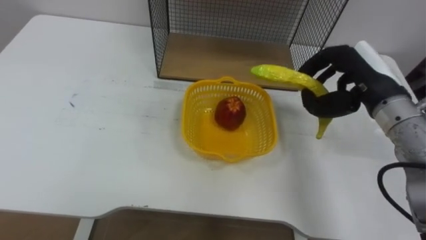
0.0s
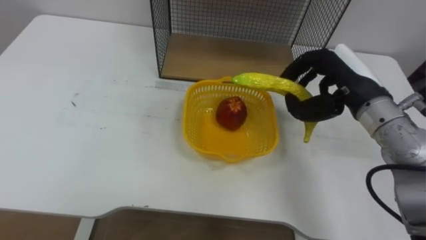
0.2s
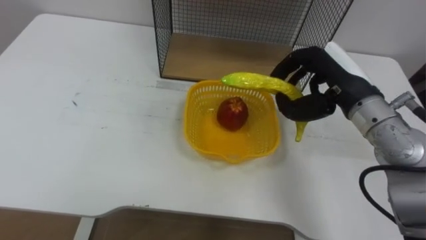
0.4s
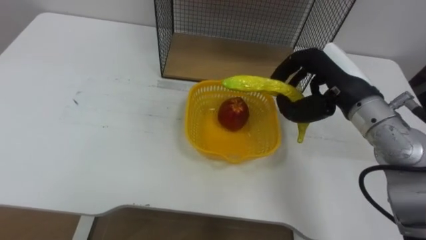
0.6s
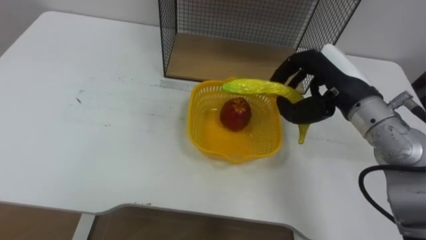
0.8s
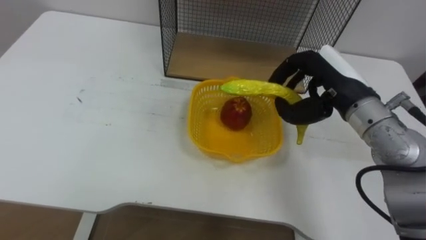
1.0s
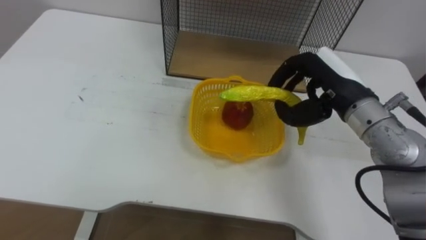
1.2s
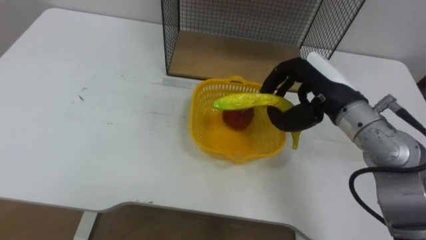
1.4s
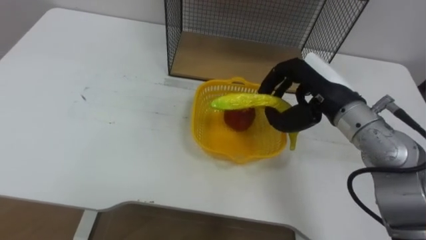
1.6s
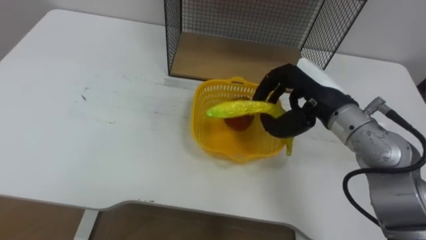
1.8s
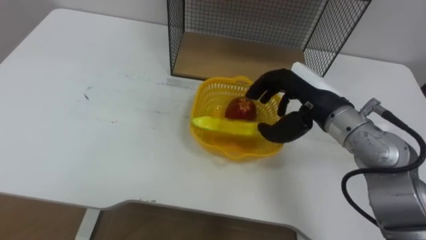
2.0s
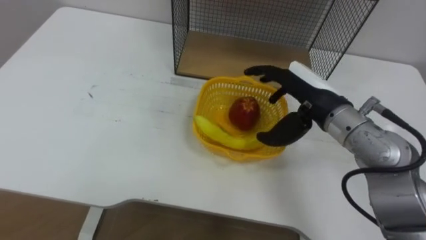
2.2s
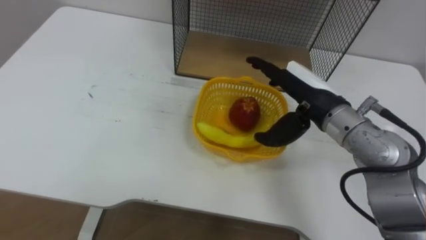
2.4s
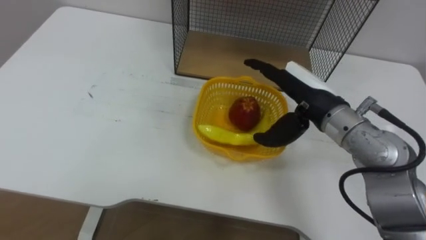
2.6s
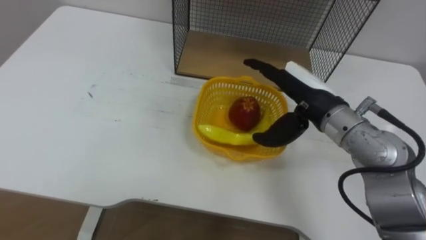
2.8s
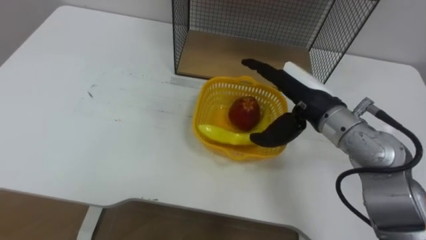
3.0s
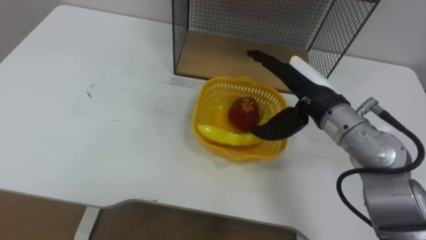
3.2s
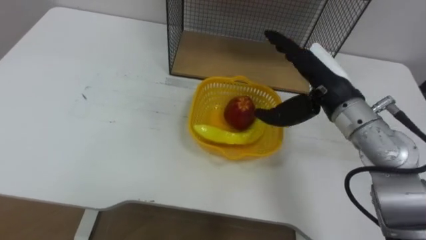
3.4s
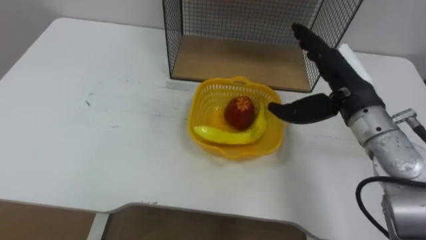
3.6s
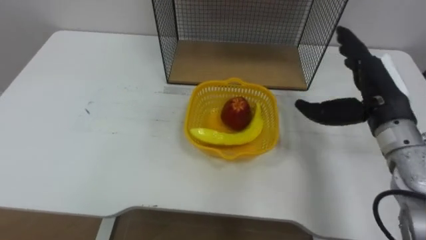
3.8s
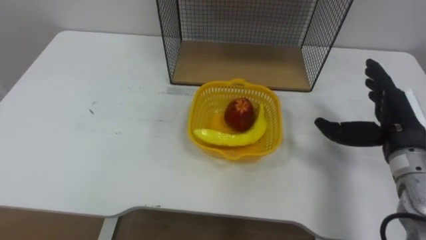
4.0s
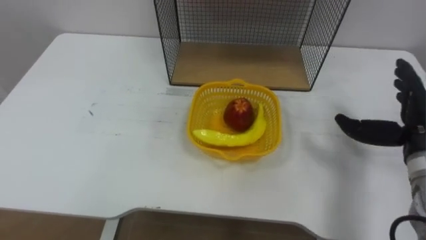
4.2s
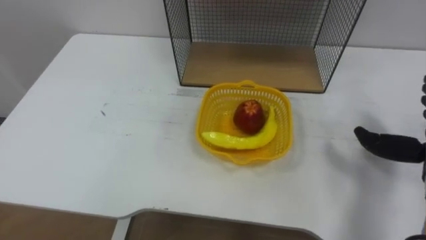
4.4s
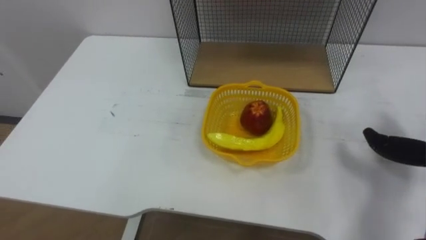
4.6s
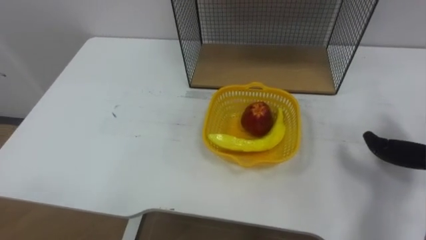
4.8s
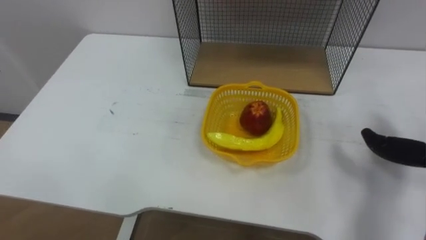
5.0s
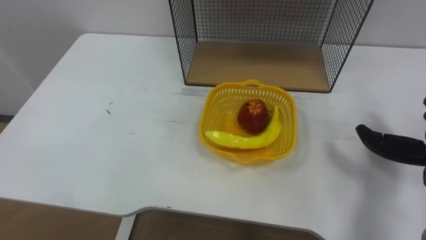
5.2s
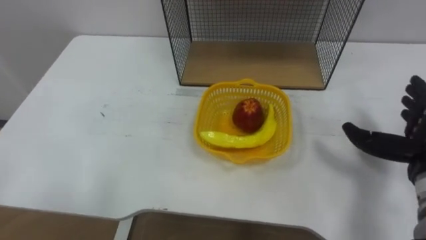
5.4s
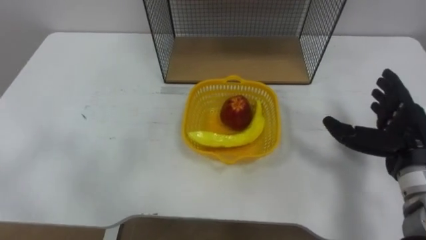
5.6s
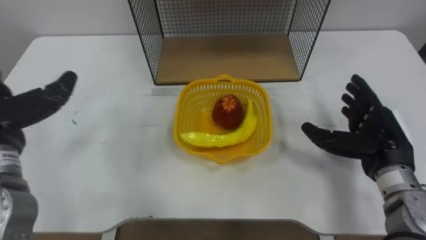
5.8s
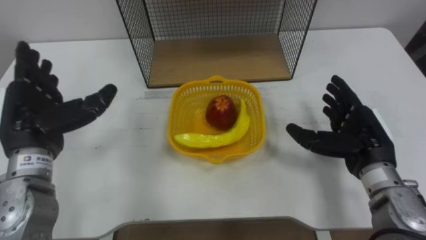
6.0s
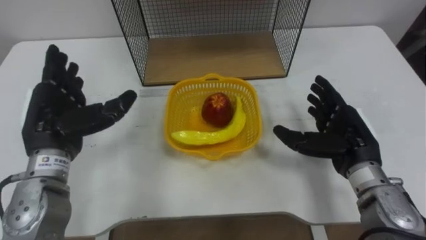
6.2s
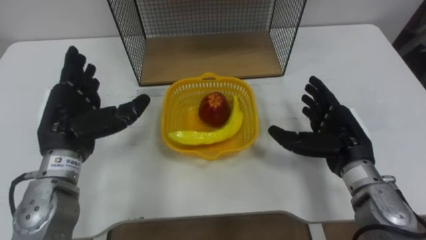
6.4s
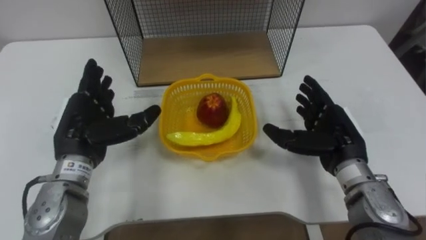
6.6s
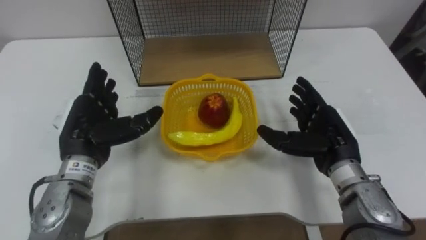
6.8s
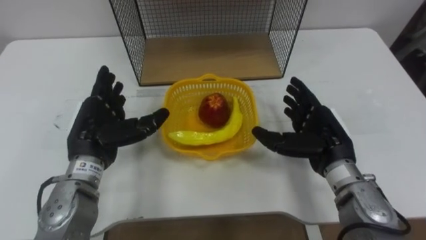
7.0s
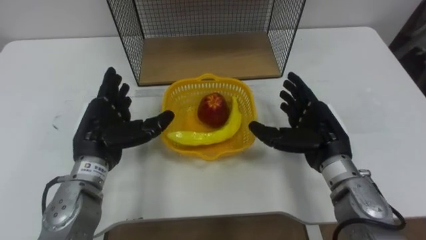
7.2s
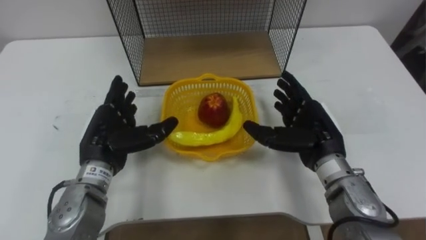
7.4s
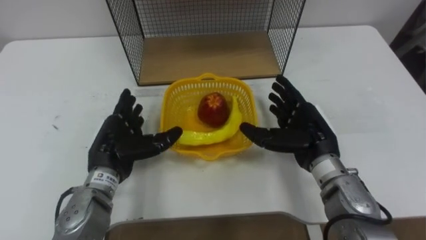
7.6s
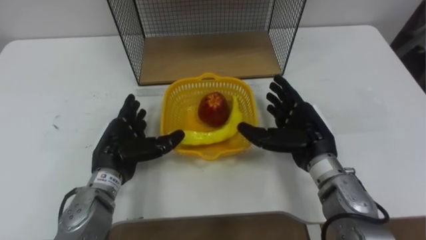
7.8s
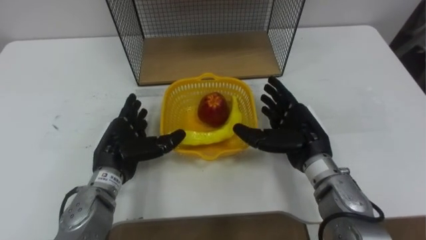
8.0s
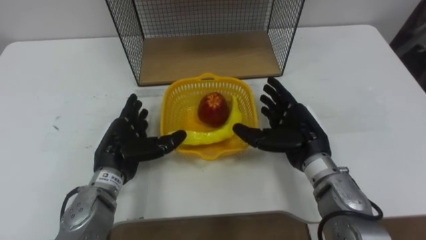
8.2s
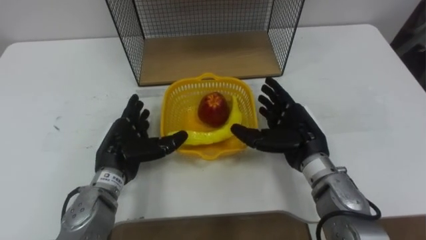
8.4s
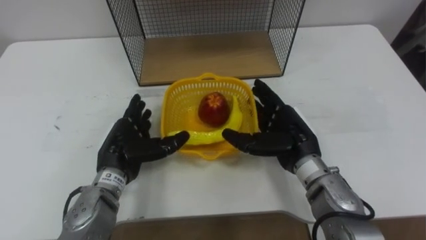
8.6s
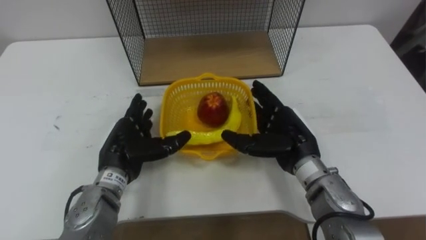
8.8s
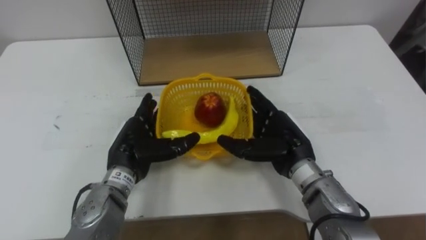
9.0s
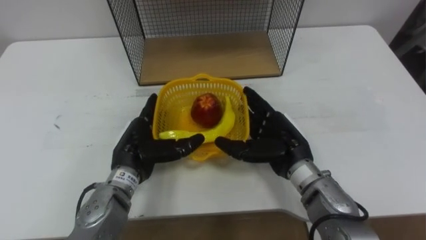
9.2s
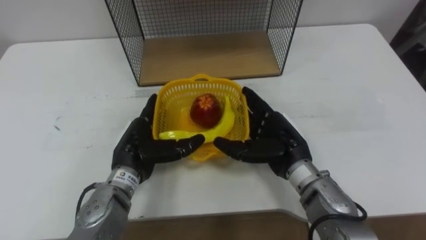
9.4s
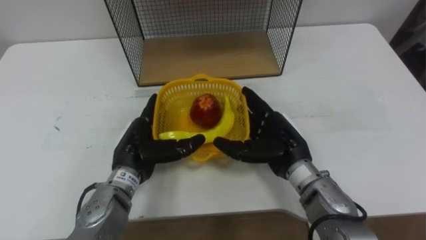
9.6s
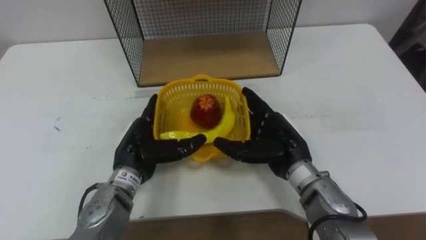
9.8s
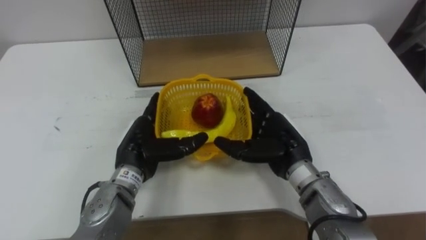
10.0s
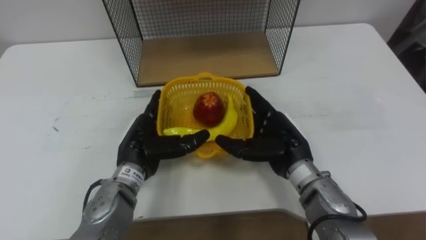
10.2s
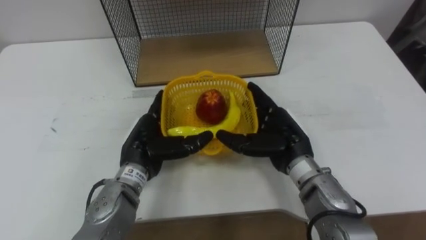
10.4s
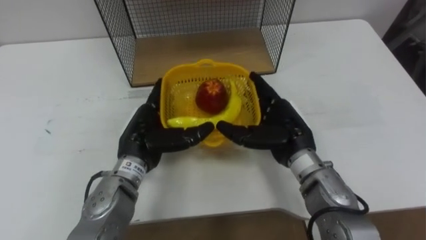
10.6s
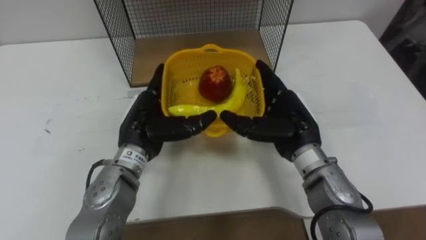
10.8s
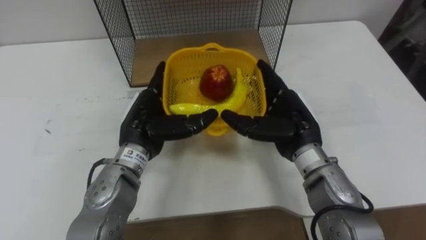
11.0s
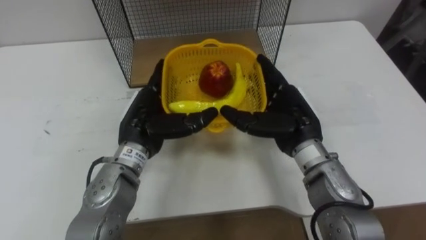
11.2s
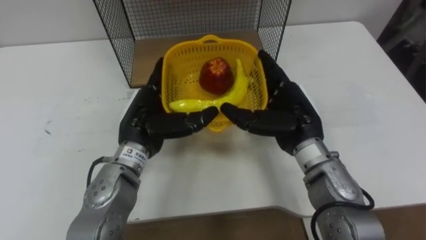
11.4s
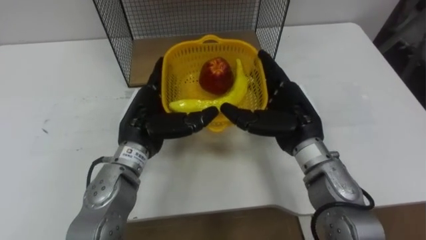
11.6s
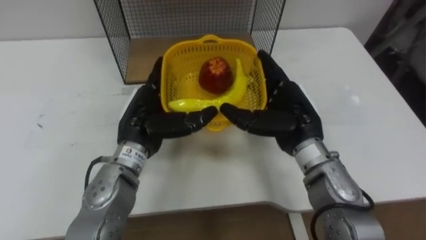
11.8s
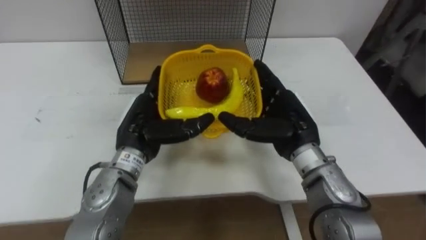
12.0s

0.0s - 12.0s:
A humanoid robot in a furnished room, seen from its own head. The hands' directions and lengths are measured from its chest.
Task of the whole recording: Put the fruit on the table into the basket, then place the basket on the shelf.
0.0s - 1.6s: The right hand goes roughly 5 cm to the left.
1.6s - 3.0s: The right hand opens its fingers.
6.0s - 7.6s: The left hand is displaced to the right and downward by approximately 15 cm. Meanwhile the right hand shifts about 10 cm to the left.
9.0s - 10.4s: The hands make only small movements.

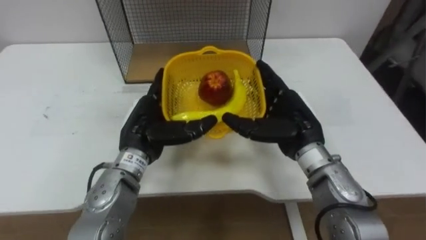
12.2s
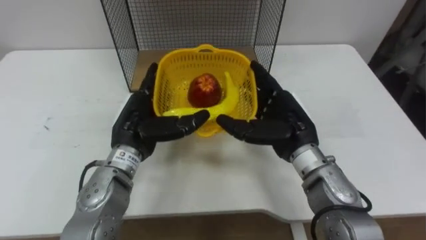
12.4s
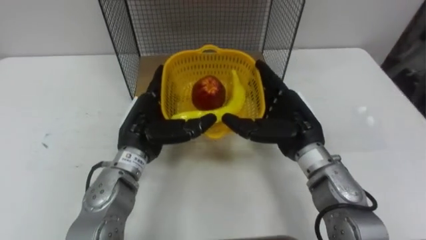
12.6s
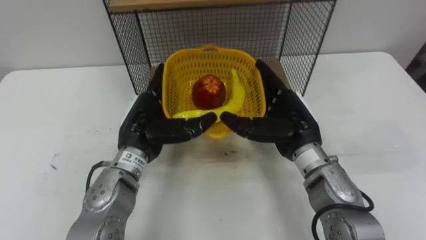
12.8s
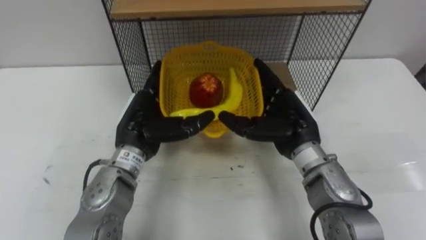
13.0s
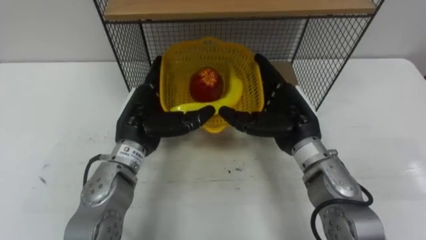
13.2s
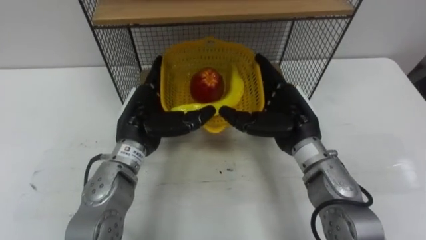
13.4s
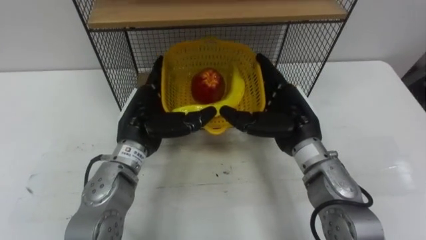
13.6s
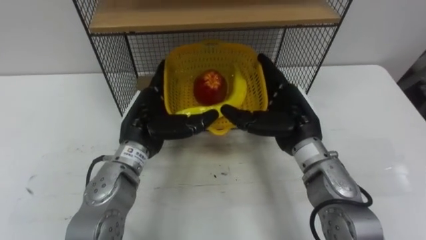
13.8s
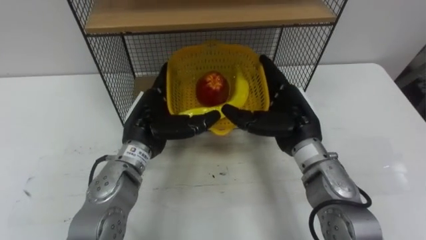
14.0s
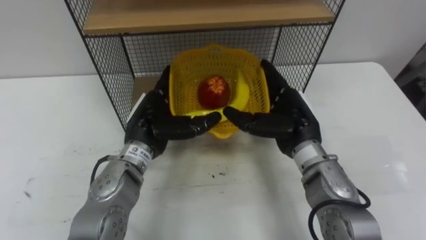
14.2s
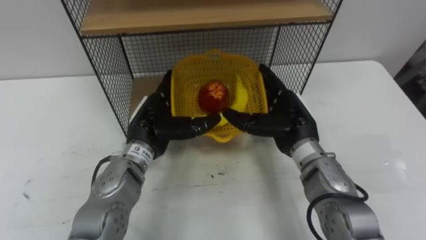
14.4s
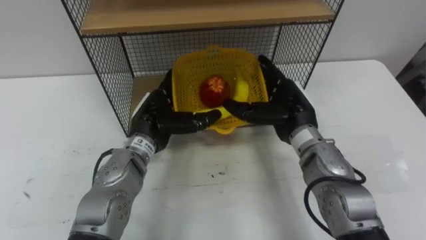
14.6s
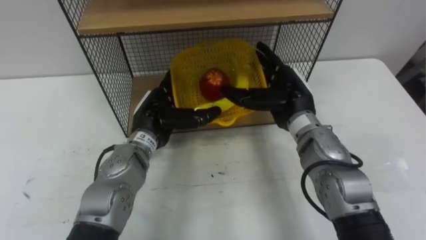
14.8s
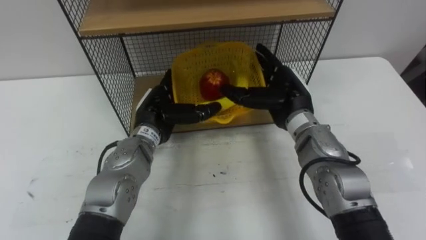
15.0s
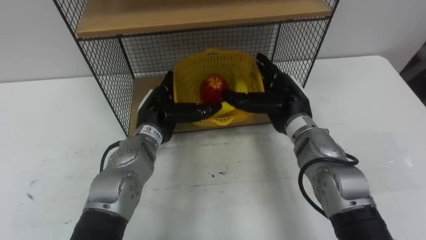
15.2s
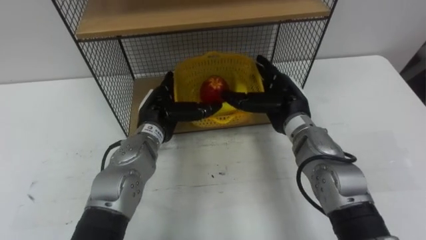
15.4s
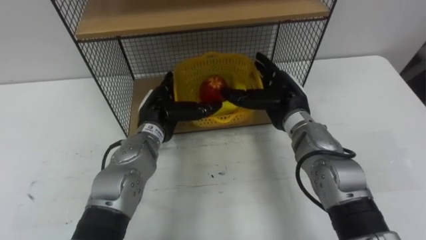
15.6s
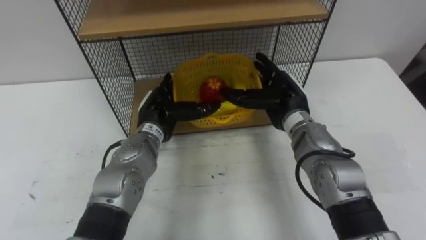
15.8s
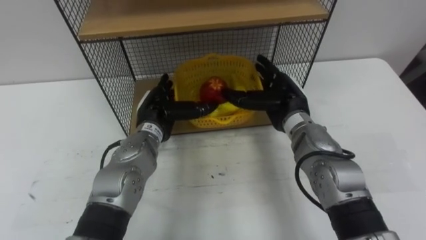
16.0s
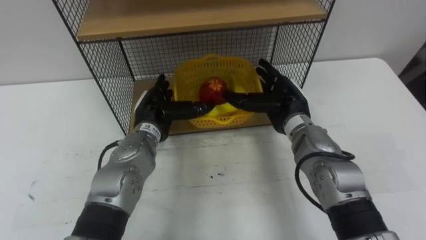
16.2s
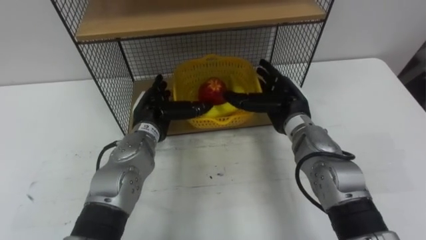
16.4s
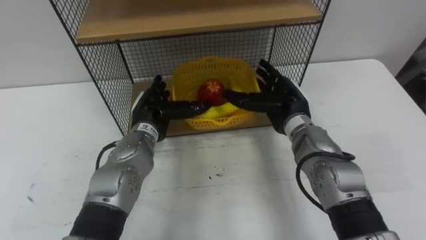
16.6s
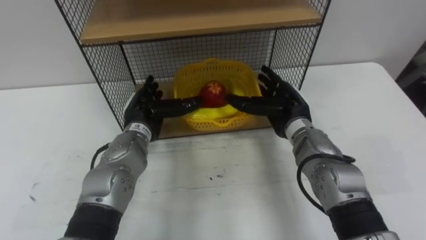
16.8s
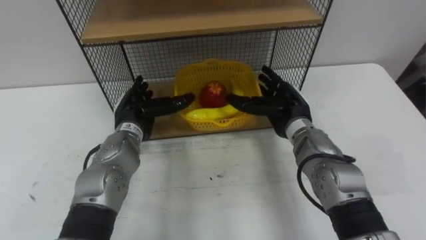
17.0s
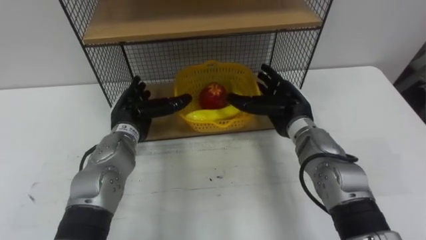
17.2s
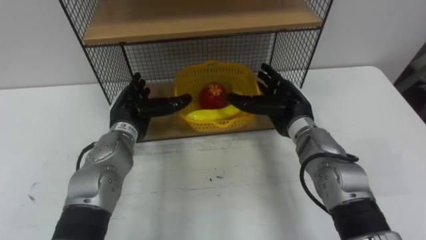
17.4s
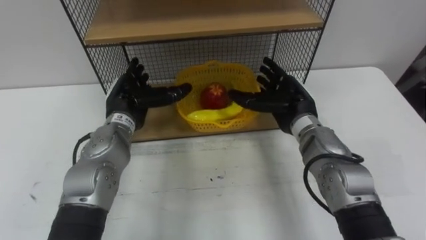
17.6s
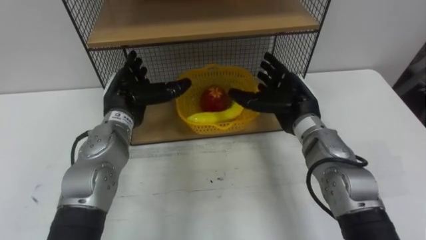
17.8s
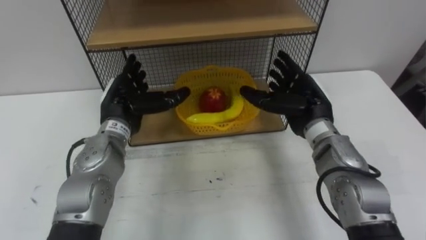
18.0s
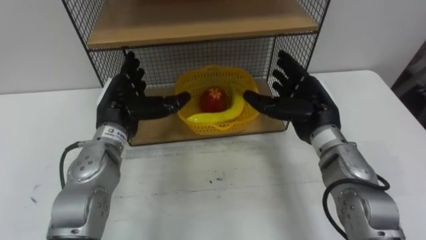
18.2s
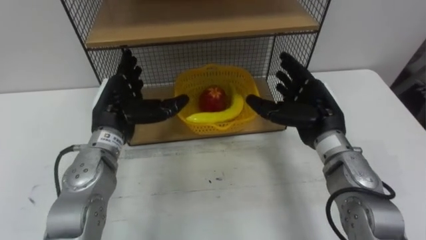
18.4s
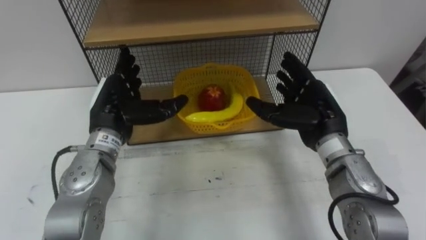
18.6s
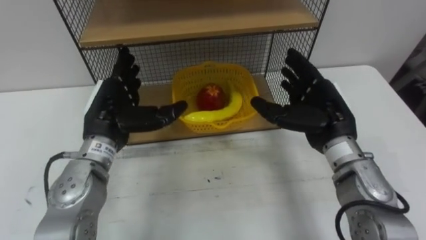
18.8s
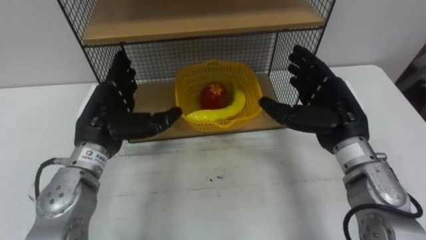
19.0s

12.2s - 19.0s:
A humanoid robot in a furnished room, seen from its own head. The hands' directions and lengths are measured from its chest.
Task of the whole recording: Put the fruit on the table into the basket, then place the basket on the shelf.
13.6s - 15.0s: The left hand moves about 5 cm.
16.2s - 17.6s: The left hand changes place by approximately 5 cm.
17.6s - 19.0s: The left hand moves backward, roughly 5 cm. The right hand shifts some 10 cm backward and to the right.
